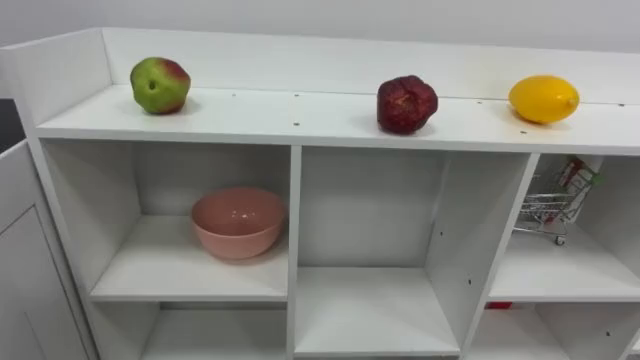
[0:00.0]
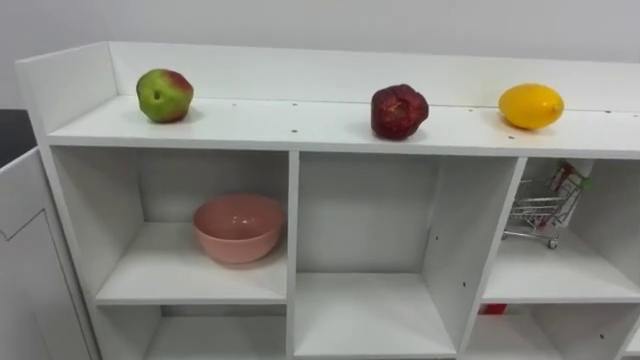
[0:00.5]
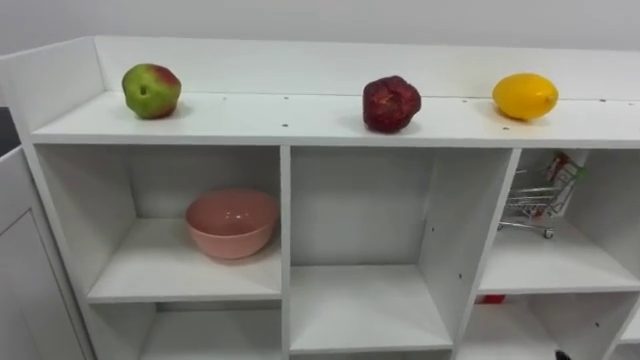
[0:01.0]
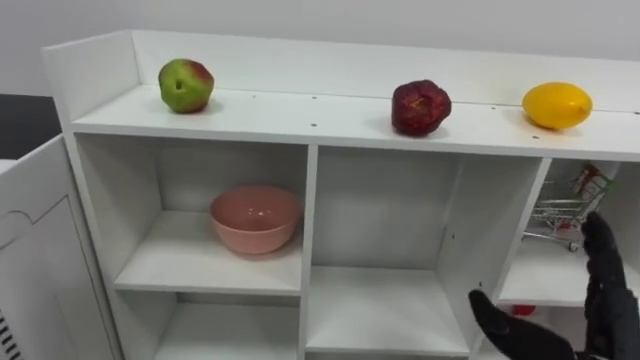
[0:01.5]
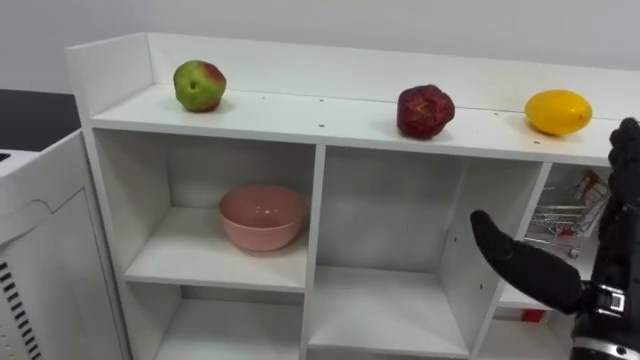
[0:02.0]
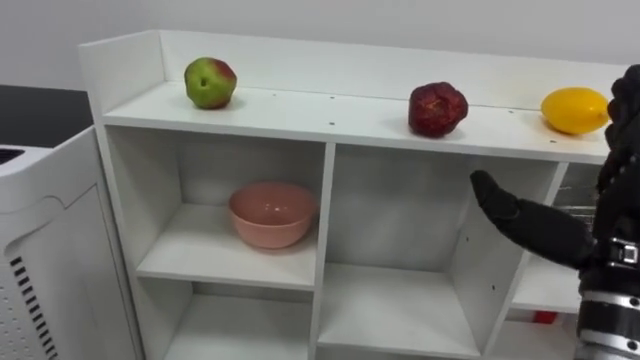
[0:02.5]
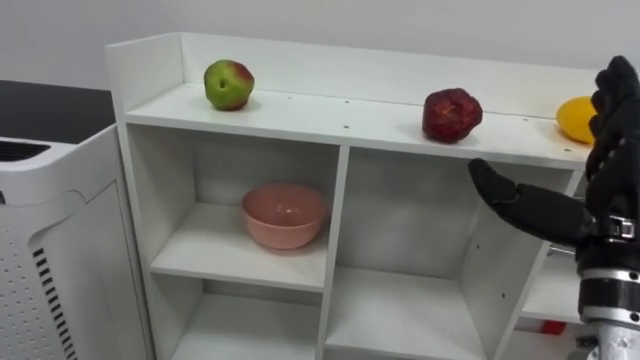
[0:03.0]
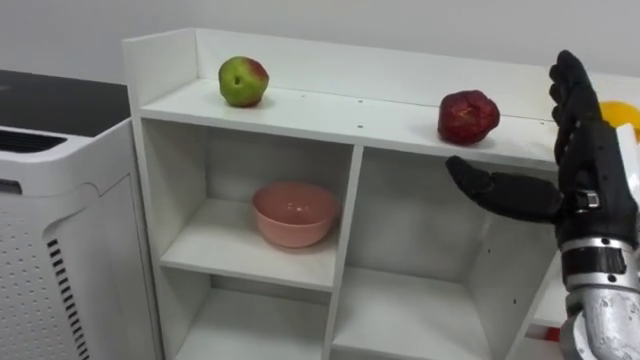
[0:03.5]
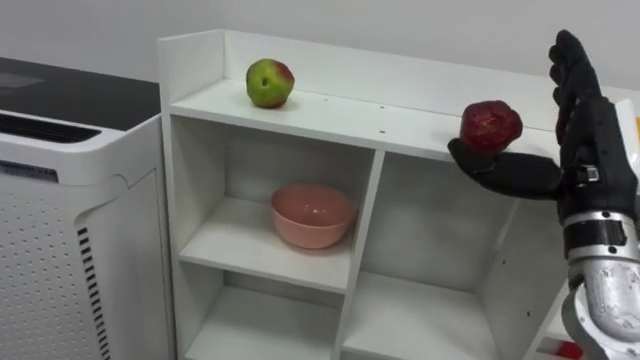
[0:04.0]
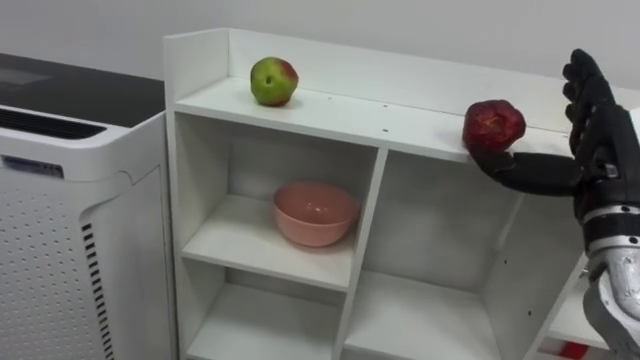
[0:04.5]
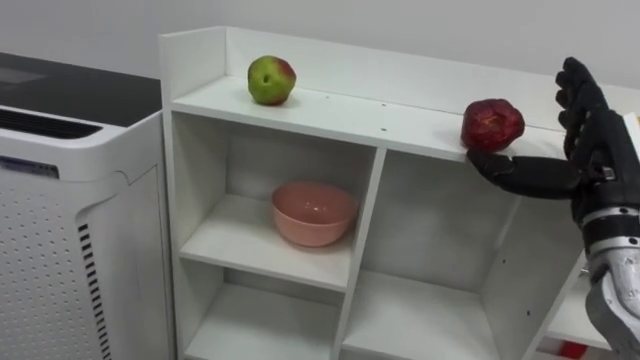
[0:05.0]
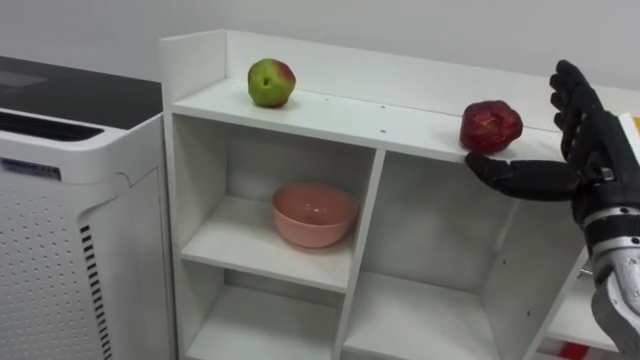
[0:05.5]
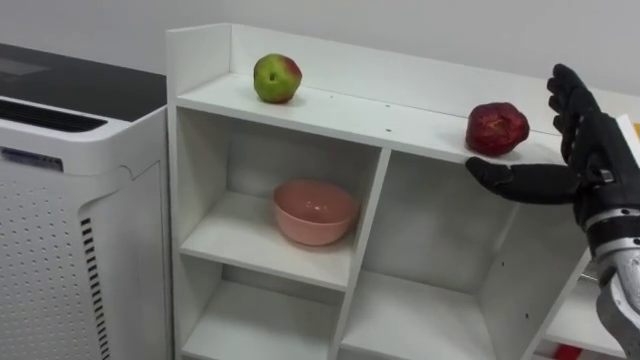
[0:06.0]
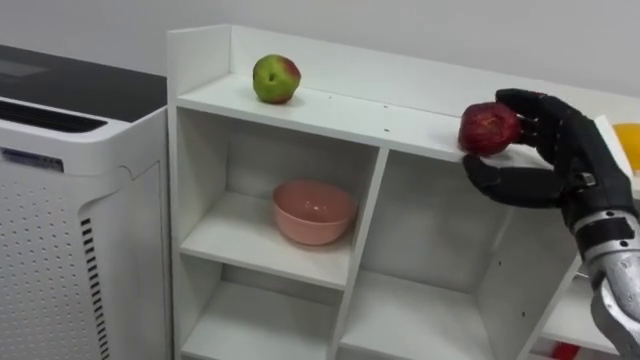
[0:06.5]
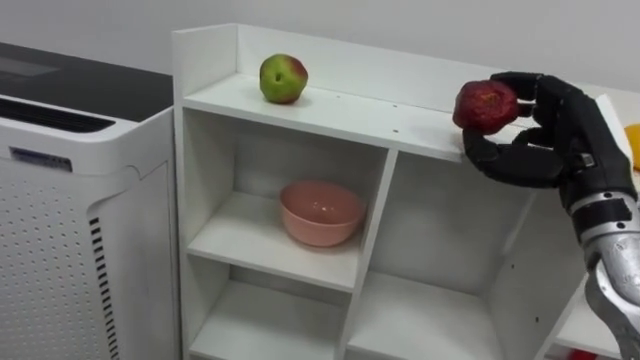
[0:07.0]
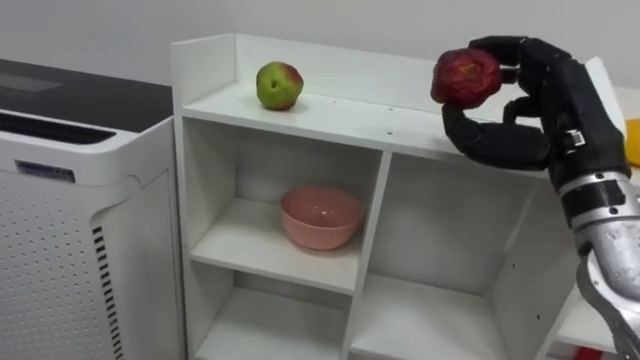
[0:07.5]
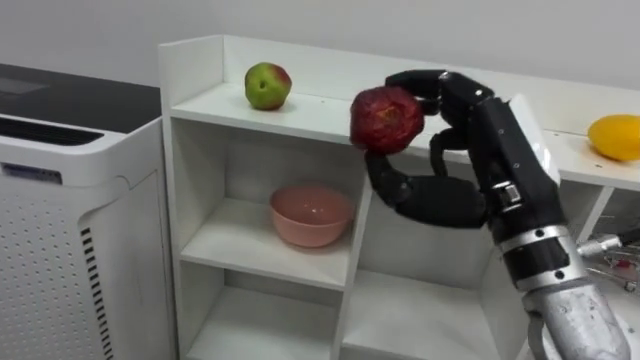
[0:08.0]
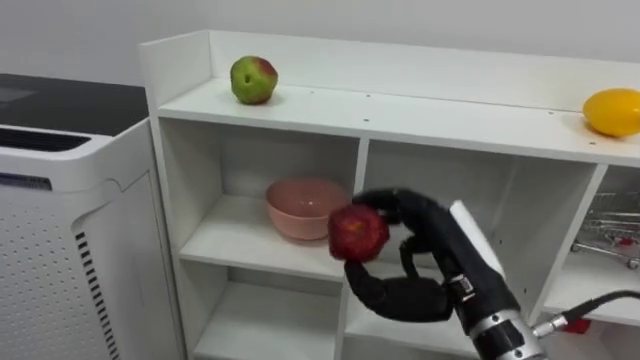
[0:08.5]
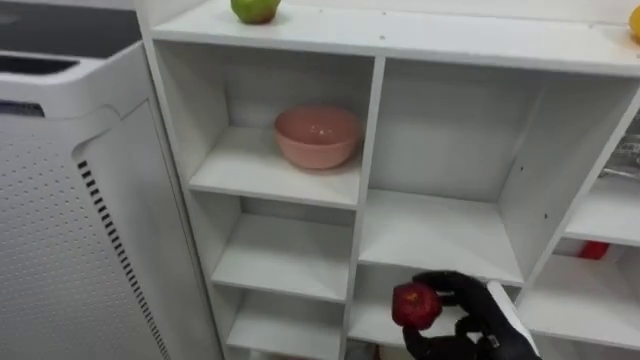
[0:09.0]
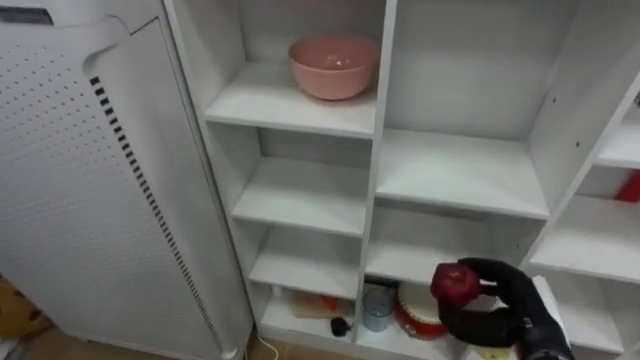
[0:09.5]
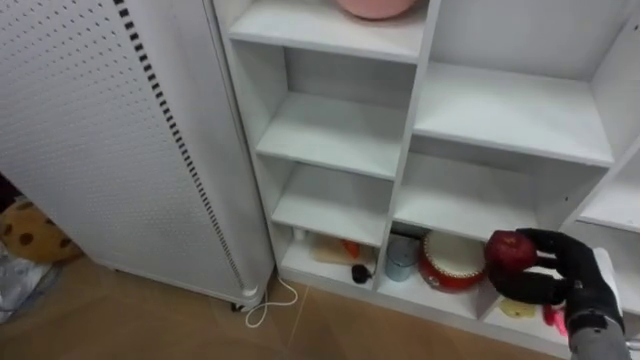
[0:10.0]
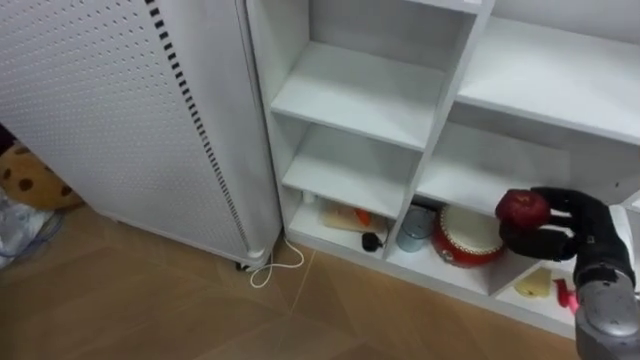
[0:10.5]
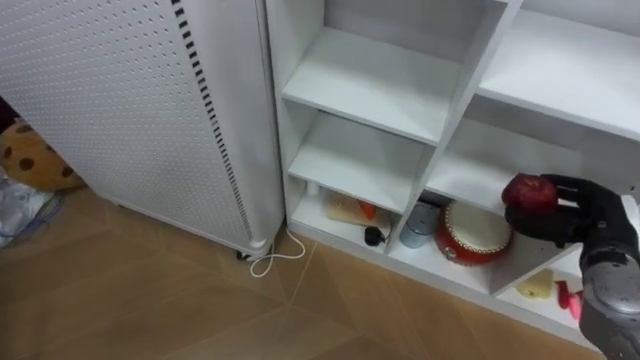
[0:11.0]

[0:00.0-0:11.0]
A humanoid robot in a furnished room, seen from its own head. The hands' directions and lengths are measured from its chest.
Task of the whole recording: Put the apple in the cell in the second column from the left and the second row from the top.
2.0 to 3.5 s: The right hand is displaced forward by approximately 5 cm.
3.5 to 5.5 s: The right hand moves about 5 cm.
5.5 to 7.5 s: The right hand shifts approximately 5 cm upward, and closes up.
7.5 to 9.0 s: The right hand heads downward, covering some 25 cm.
9.0 to 11.0 s: The right hand moves to the right, upward and forward, approximately 15 cm.

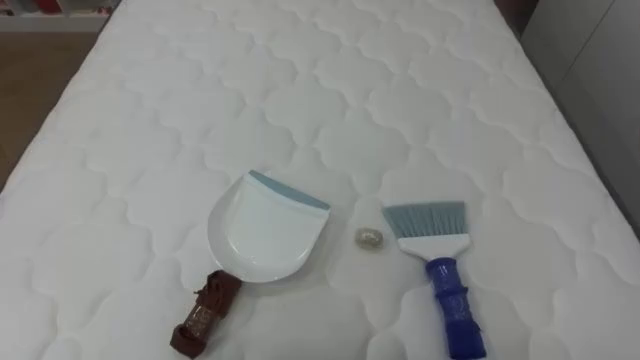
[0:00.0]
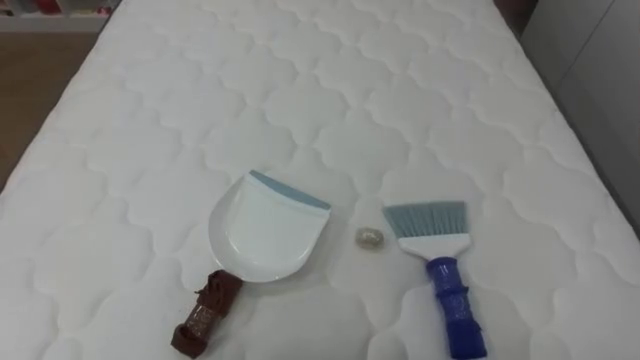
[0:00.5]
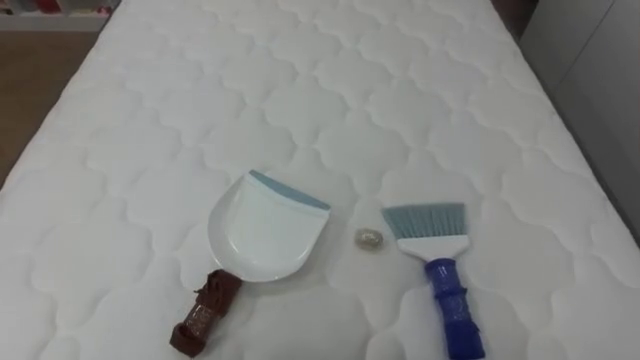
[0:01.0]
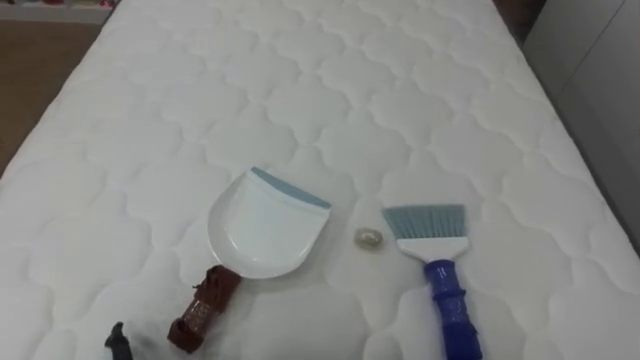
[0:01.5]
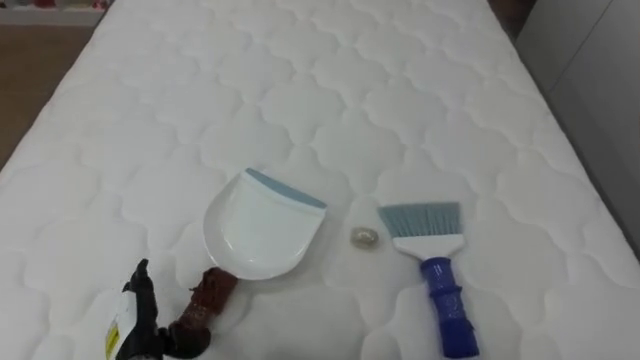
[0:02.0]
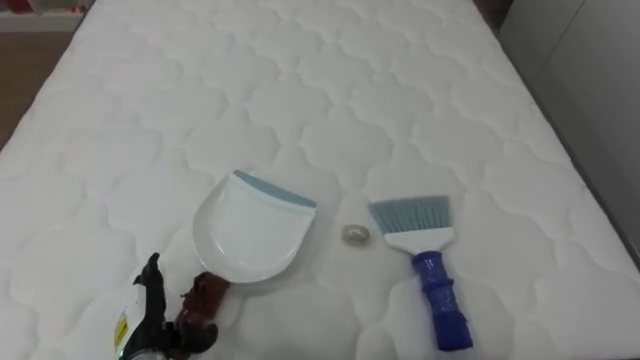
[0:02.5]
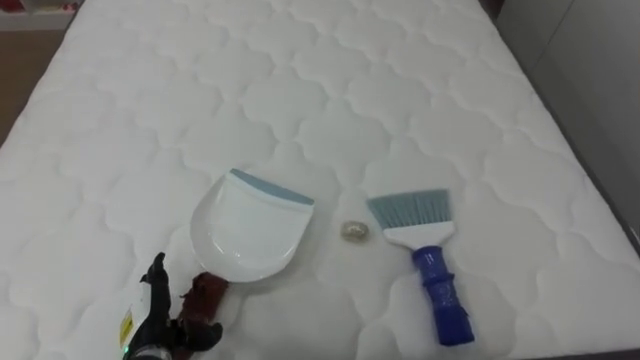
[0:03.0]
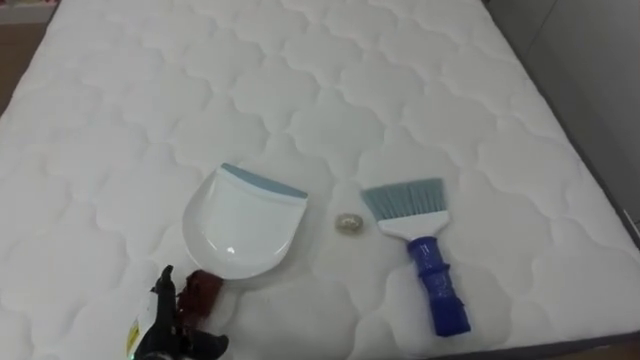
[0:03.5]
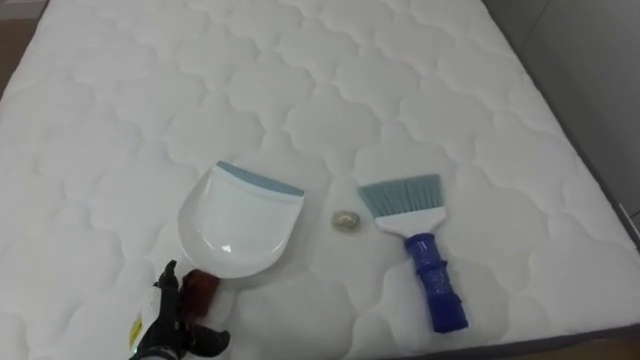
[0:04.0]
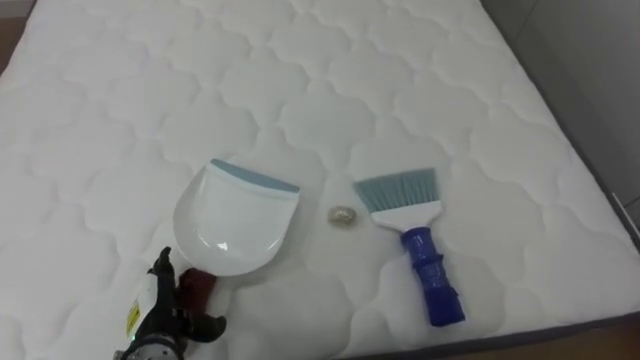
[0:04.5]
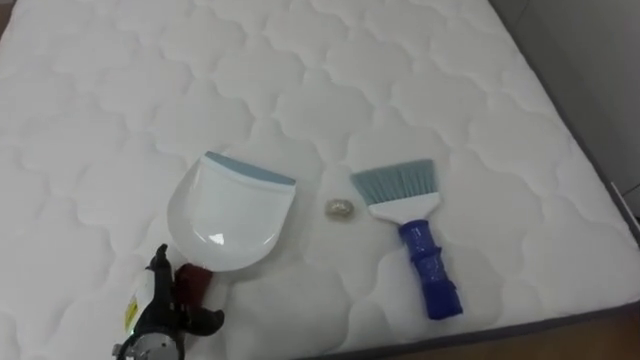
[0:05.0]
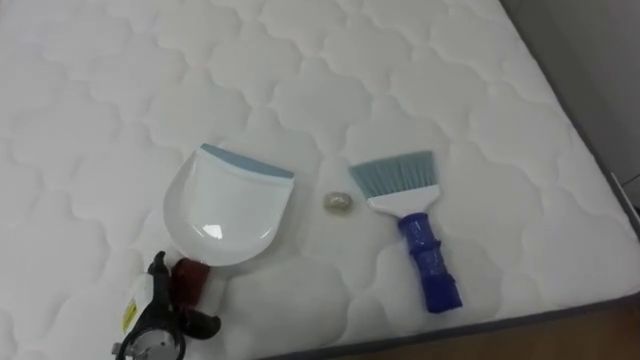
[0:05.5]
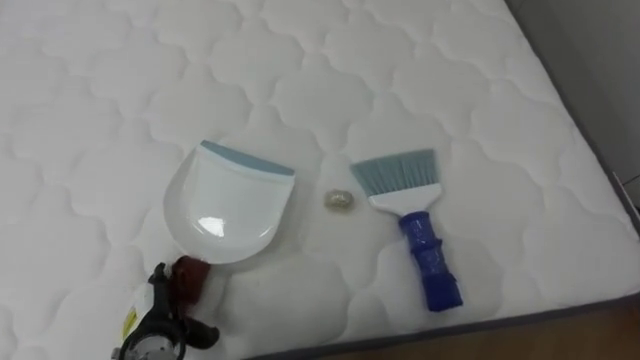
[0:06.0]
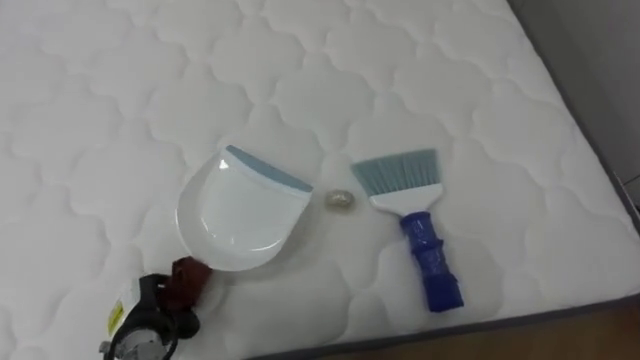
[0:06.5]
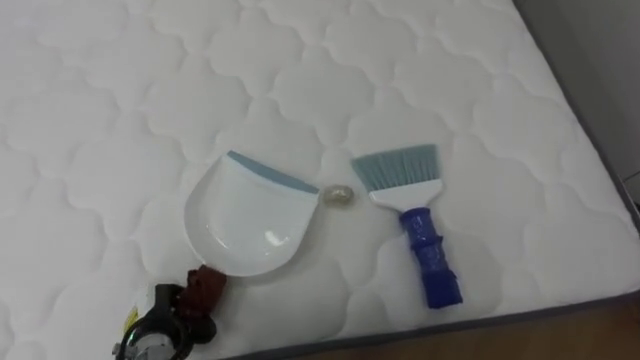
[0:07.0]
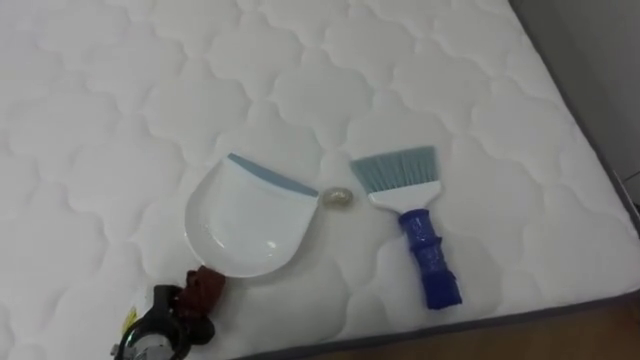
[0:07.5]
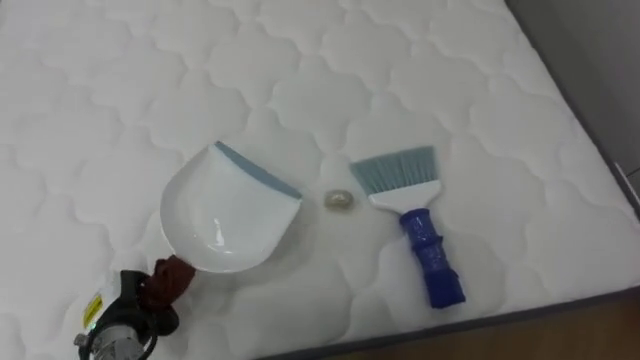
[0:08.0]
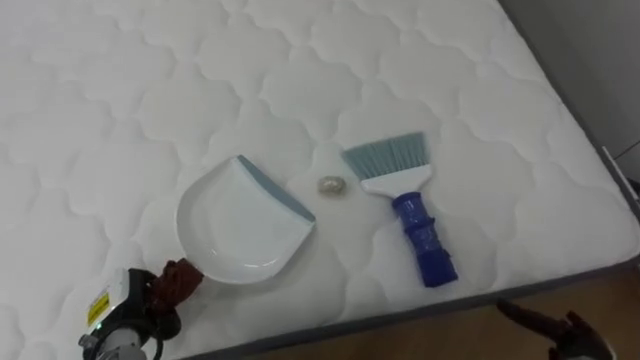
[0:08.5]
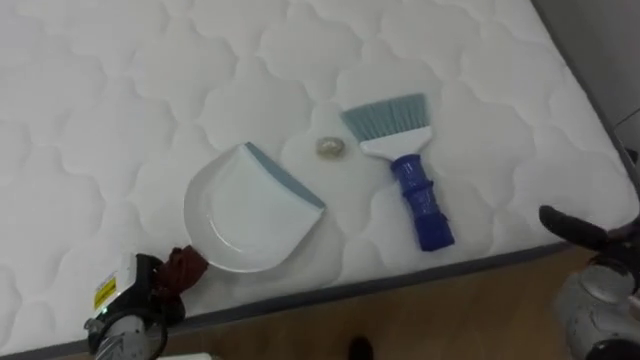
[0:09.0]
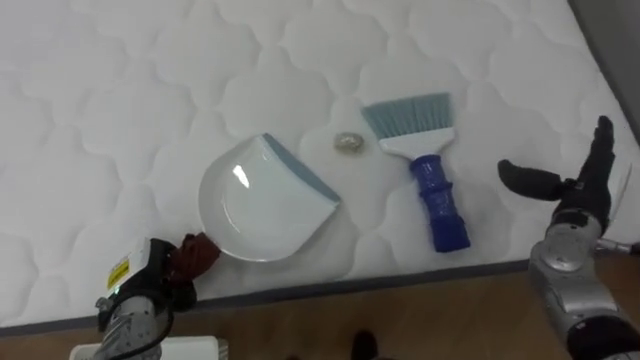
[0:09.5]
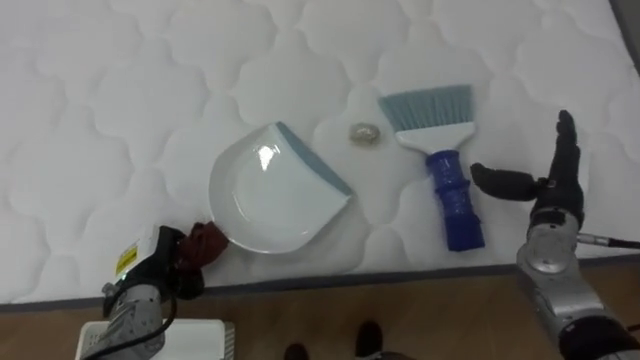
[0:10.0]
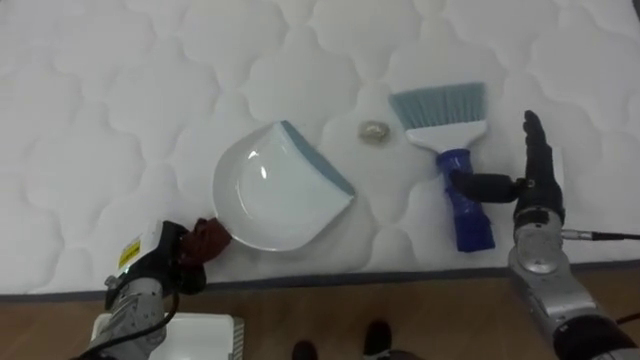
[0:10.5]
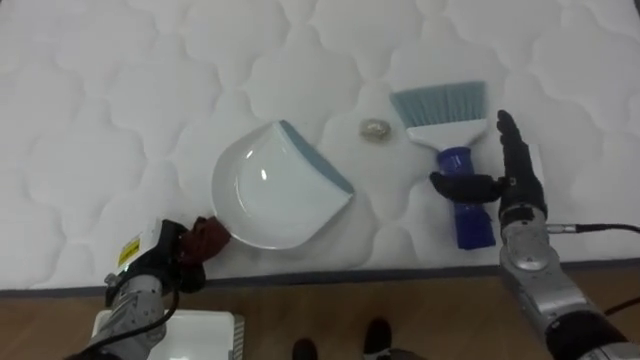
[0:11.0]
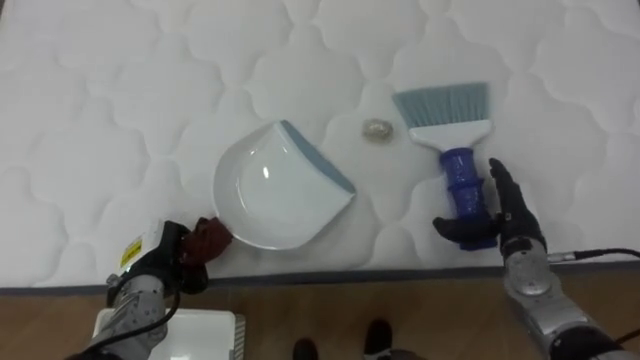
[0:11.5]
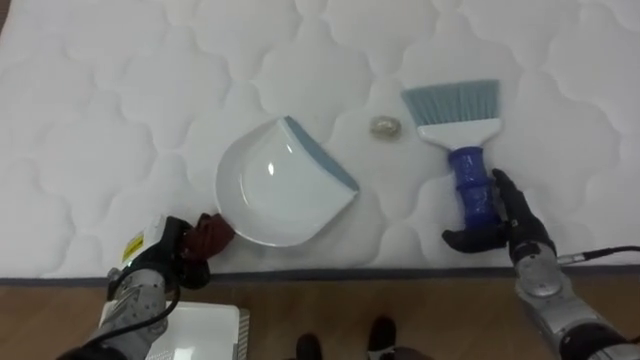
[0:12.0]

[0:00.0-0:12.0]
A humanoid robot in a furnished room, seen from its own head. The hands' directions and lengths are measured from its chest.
Task of the whole recording: Pick up the brush on your right and the dustpan on your left. Use the brush to sweep the crumpled paper on the bed into the dustpan, then turn left and empty it into the basket.
6.0 to 8.0 s: The left hand changes place by about 5 cm, and closes its fingers.
8.0 to 10.0 s: The left hand goes roughly 5 cm forward.
10.0 to 12.0 s: The right hand shifts approximately 10 cm downward.
